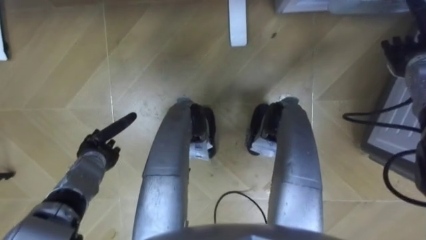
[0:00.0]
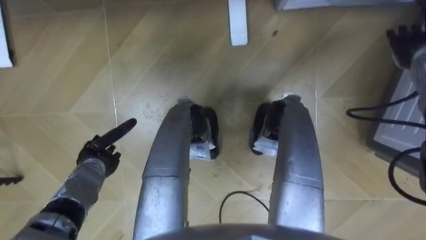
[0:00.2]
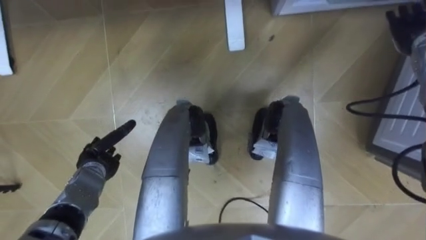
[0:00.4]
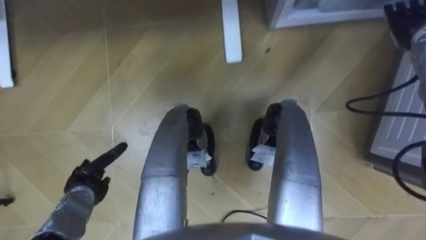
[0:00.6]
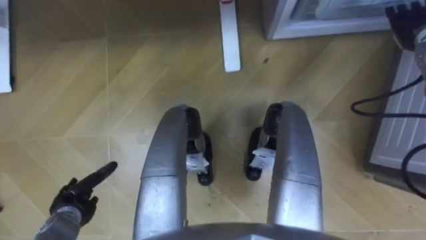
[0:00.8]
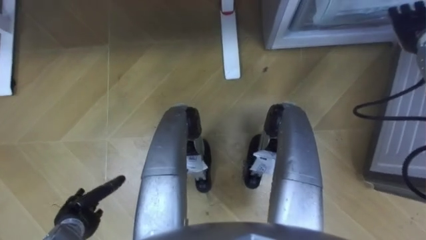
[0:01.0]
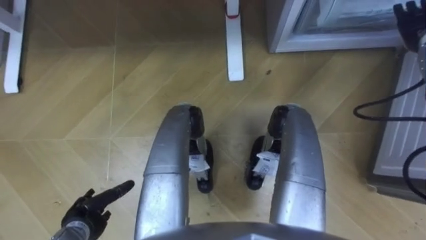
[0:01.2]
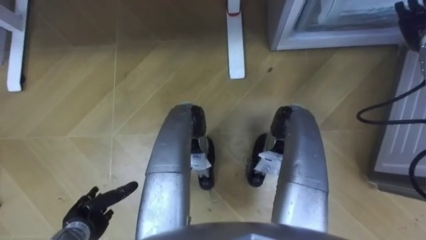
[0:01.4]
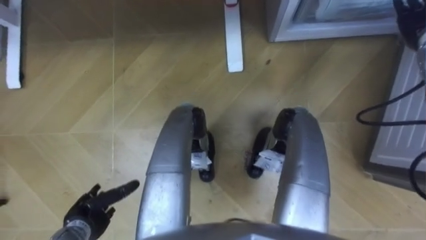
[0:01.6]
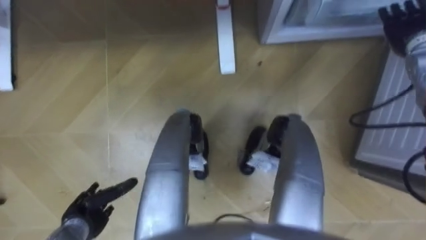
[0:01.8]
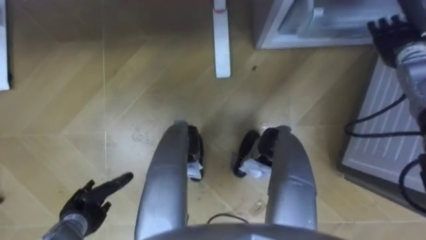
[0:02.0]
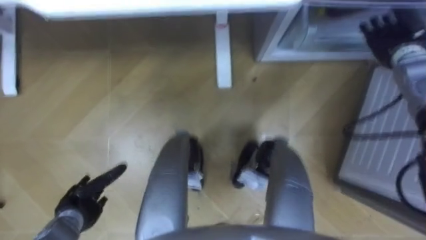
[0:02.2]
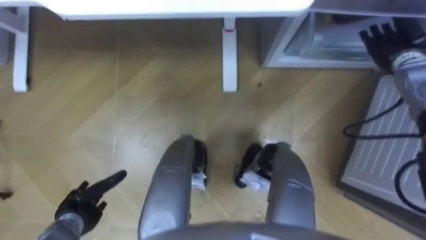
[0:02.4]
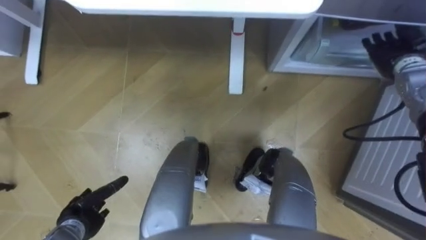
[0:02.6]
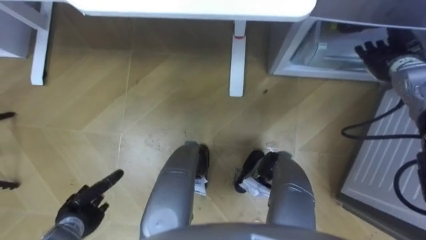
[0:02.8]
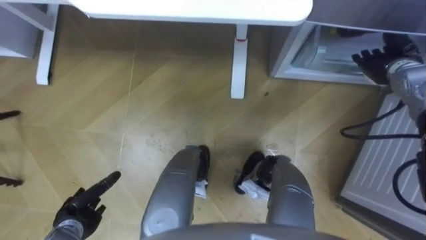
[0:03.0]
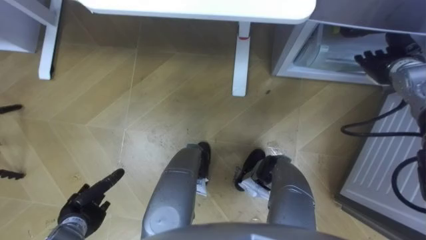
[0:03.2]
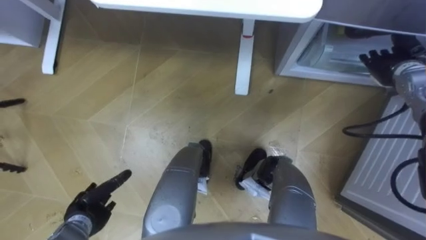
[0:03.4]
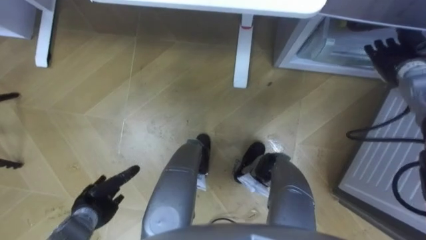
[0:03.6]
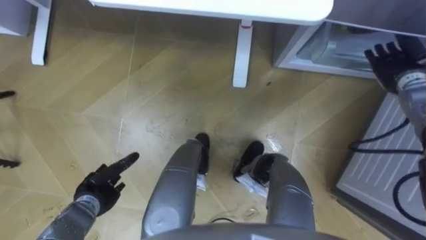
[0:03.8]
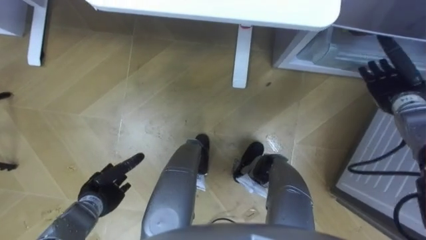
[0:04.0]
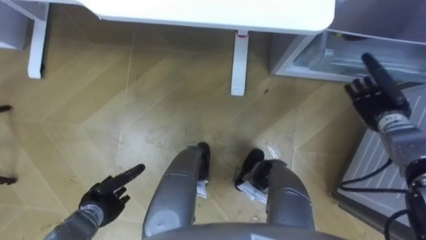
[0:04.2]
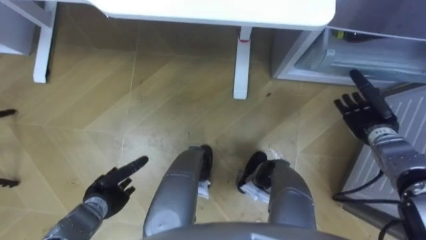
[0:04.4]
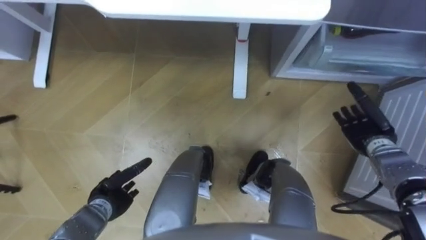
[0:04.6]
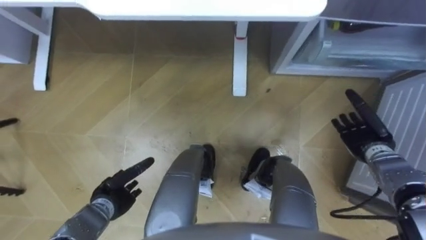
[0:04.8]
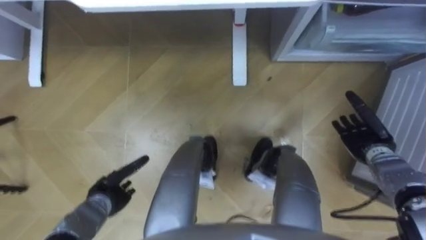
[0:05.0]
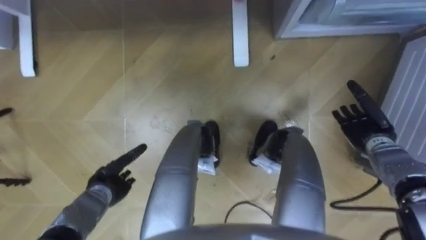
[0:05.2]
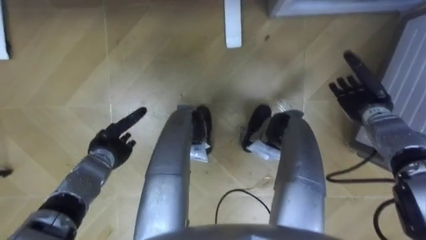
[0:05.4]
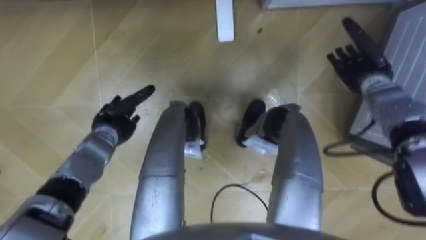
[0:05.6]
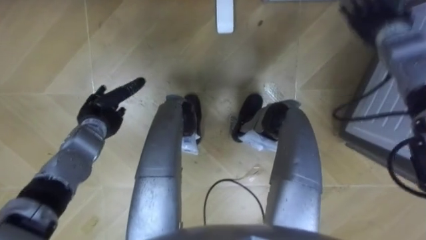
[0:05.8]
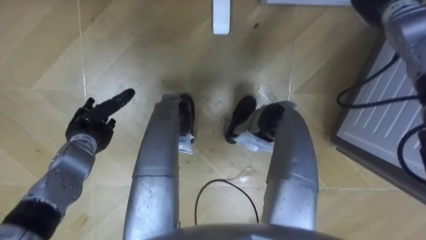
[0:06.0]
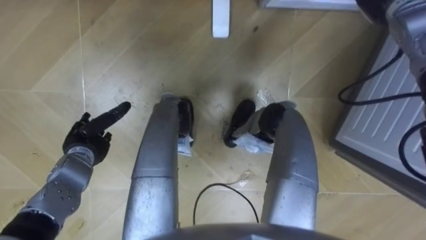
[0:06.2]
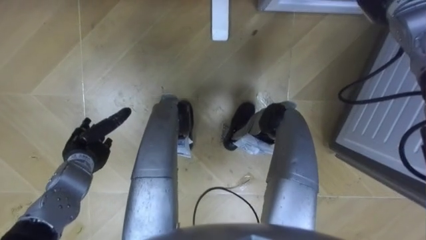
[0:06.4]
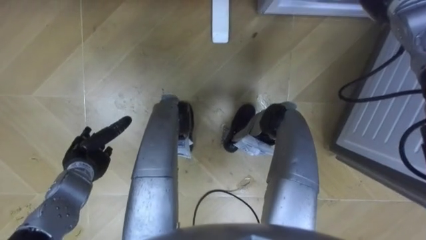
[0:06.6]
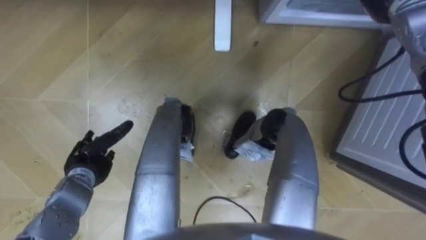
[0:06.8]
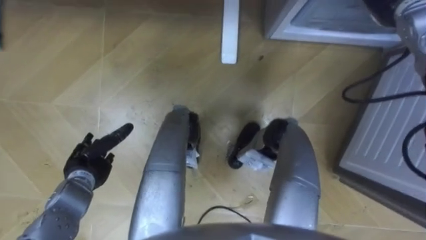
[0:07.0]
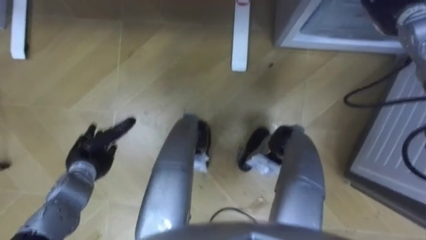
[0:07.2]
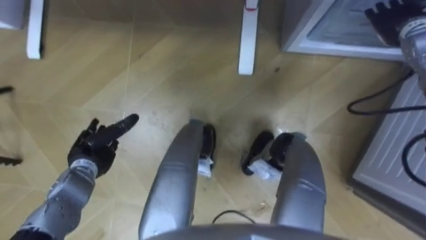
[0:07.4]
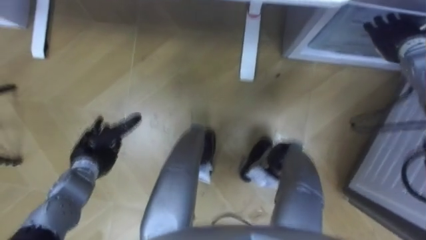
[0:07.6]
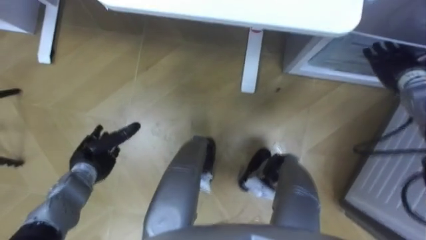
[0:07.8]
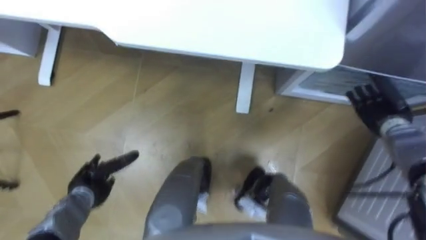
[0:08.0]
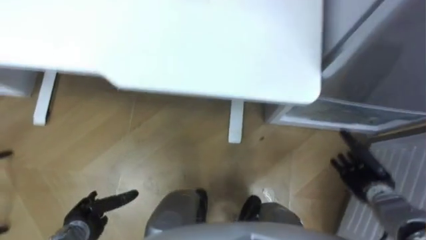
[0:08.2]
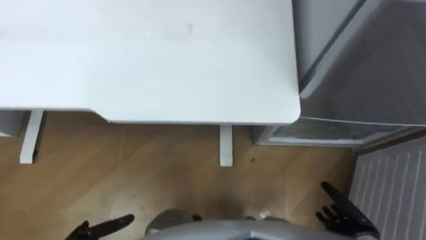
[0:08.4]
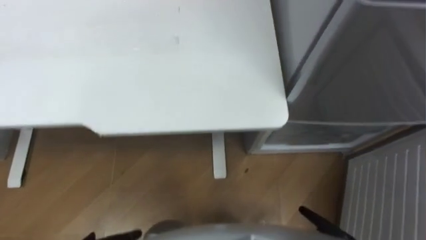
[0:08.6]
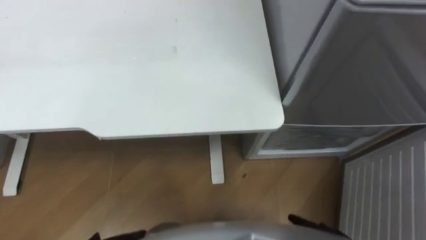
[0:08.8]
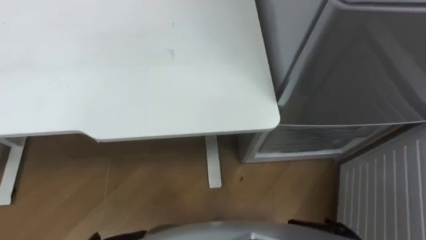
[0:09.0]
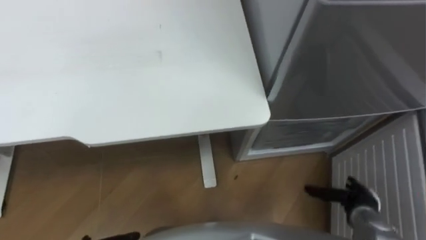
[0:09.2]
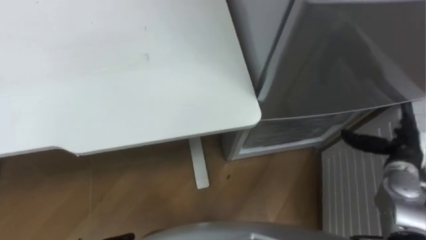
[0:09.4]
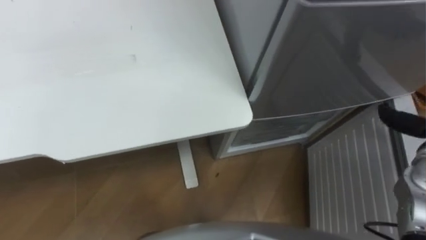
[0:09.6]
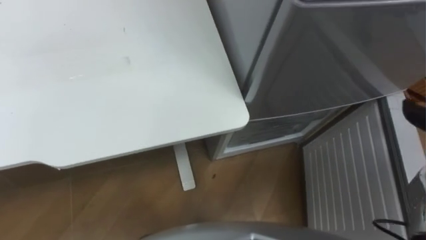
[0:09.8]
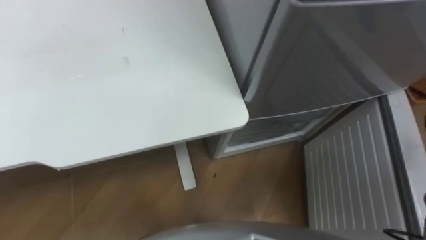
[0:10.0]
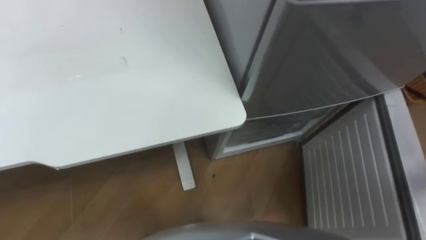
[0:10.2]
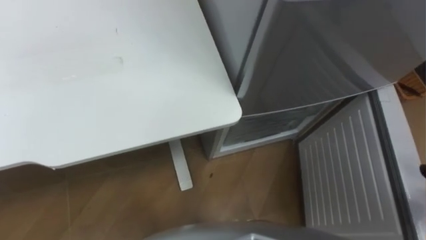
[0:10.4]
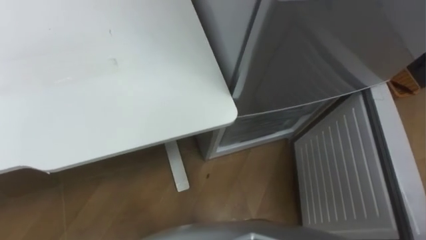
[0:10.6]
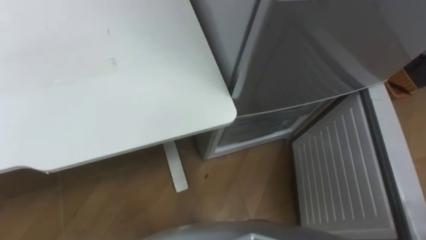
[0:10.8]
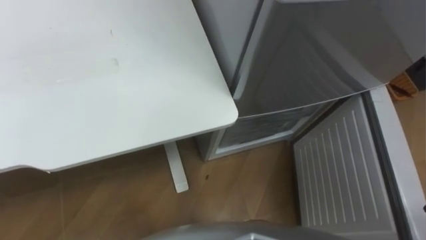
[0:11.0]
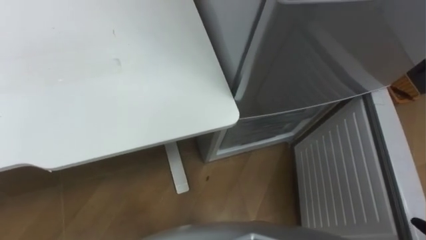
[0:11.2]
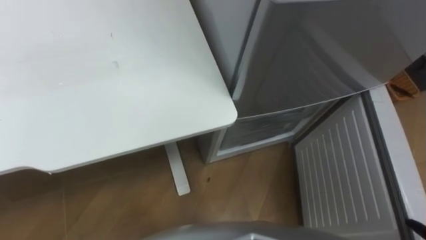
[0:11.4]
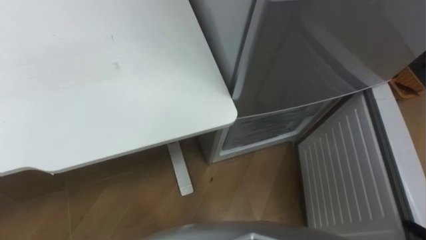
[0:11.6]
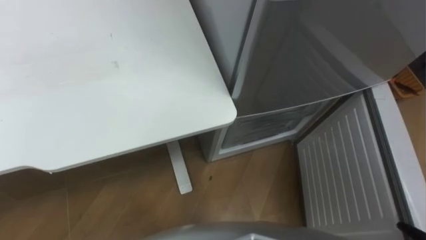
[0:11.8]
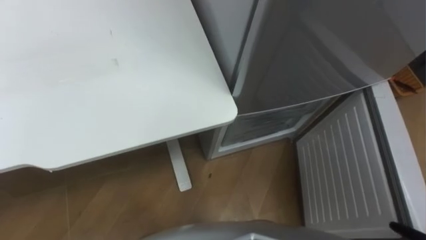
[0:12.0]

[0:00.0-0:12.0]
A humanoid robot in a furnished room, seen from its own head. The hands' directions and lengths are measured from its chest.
Task of the whole recording: Place the drink on the table on the bottom shelf of the refrigerator, then close the drawer and the refrigerator door.
0:00.0 to 0:01.6: The left hand moves backward, some 15 cm, while the right hand shifts some 5 cm upward.
0:01.6 to 0:03.0: The right hand goes some 10 cm downward.
0:03.0 to 0:04.4: The right hand is displaced downward and backward by some 15 cm. Meanwhile the left hand is displaced to the right by about 5 cm.
0:04.4 to 0:06.0: The left hand shifts about 15 cm forward and upward.
0:06.0 to 0:07.6: The left hand moves some 5 cm.

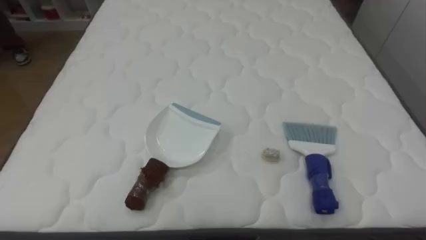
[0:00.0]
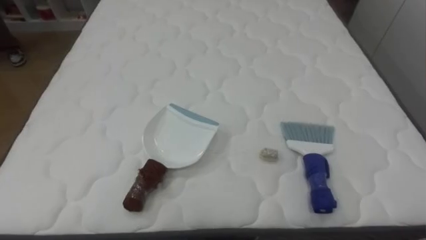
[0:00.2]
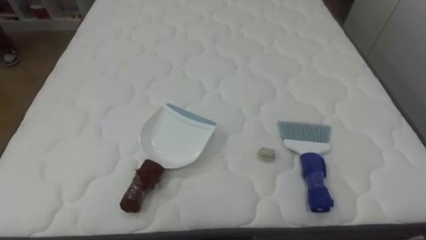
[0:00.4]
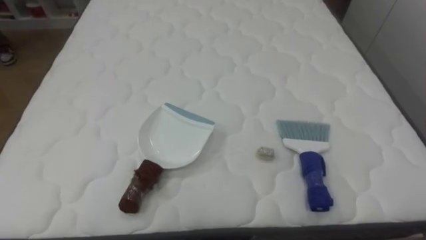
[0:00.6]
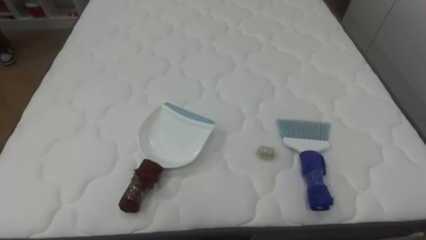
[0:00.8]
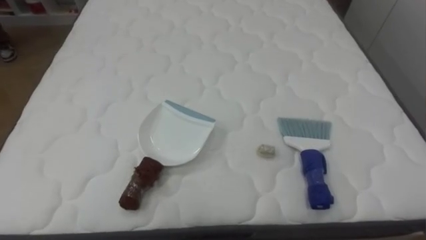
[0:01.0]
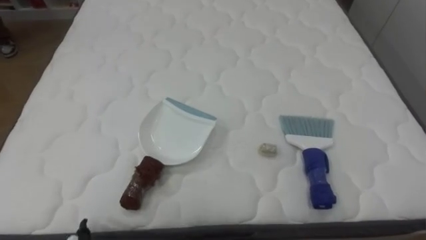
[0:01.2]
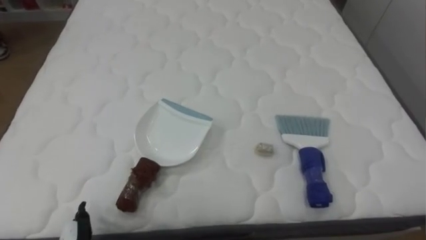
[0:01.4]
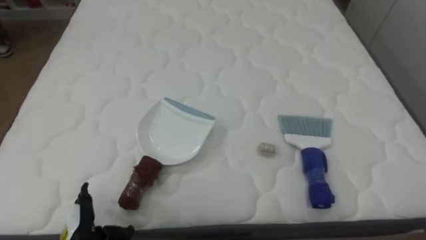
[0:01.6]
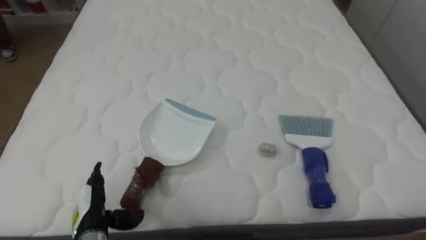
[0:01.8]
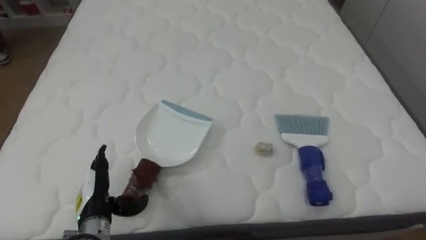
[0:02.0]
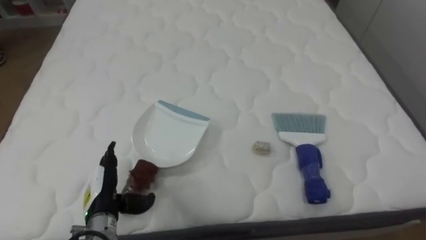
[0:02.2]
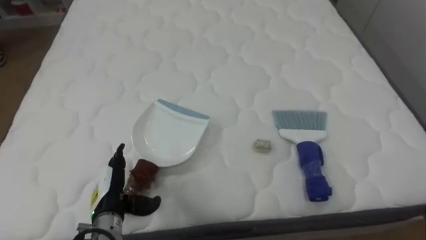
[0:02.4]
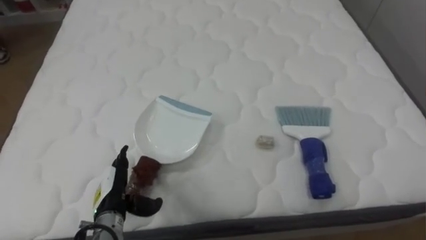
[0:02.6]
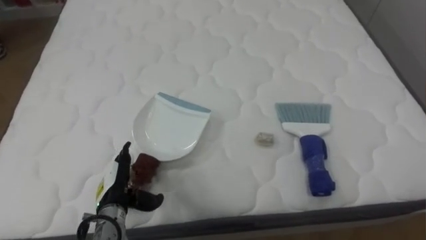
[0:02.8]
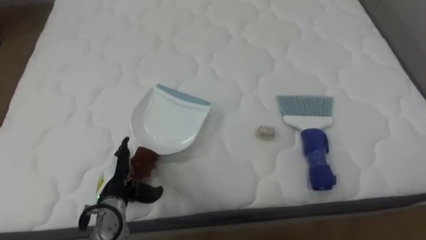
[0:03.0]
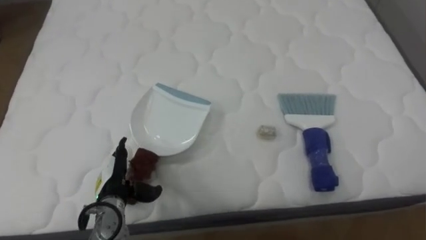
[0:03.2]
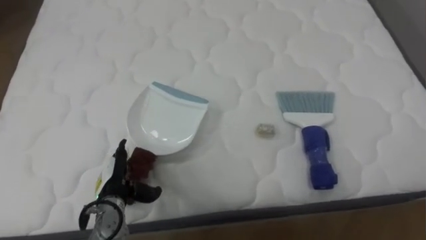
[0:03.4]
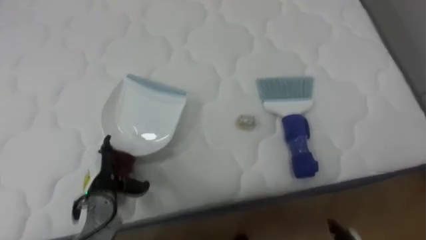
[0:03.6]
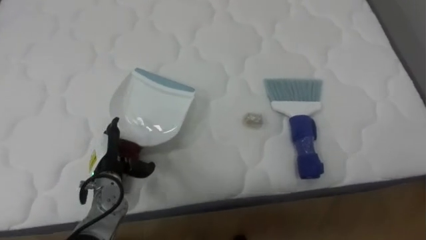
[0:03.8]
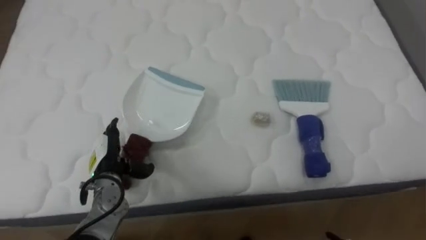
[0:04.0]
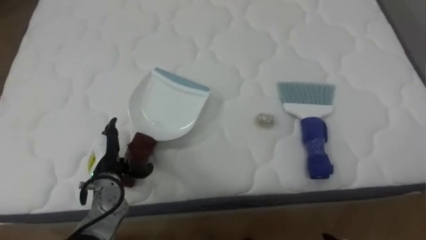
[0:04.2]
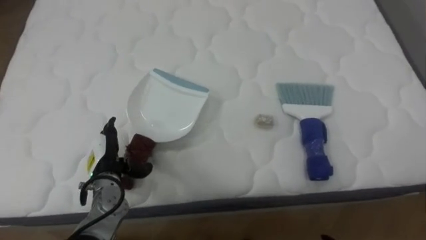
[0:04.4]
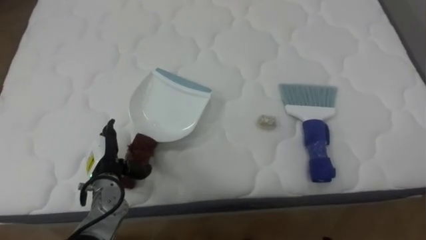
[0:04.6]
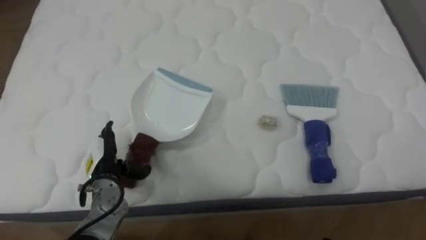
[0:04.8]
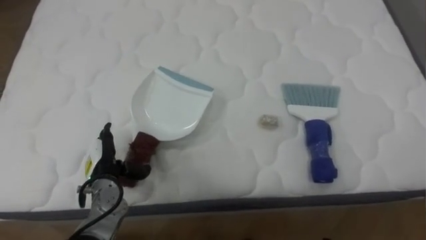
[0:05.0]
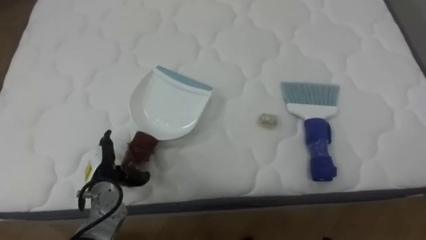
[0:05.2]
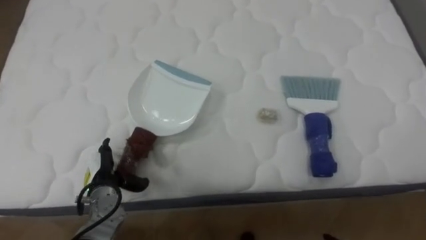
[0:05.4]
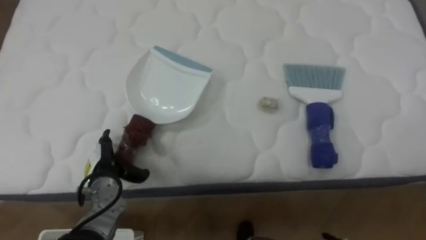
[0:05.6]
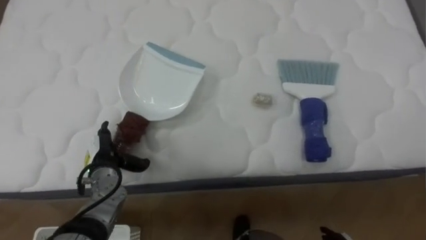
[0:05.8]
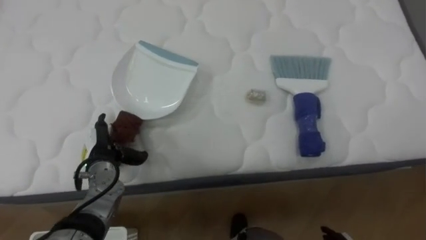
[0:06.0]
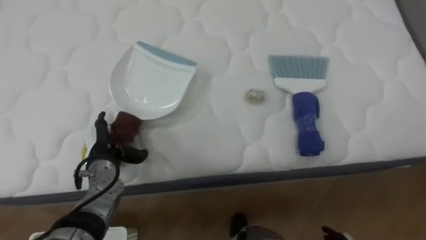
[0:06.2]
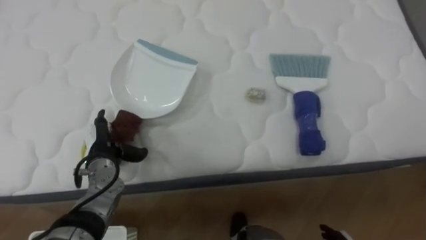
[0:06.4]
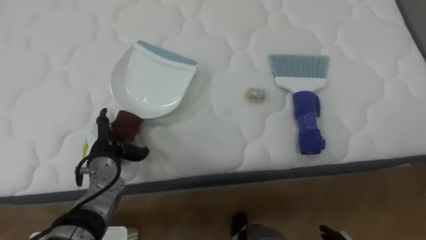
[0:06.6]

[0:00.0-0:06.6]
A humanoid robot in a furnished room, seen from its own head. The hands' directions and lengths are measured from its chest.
Task of the whole recording: Pick up the brush on your right and the dustpan on your left. Use the brush to sweep the crumpled paper on the bed into the dustpan, then turn left and empty it into the basket.
0:01.6 to 0:03.2: The left hand travels forward and to the right by approximately 10 cm.
